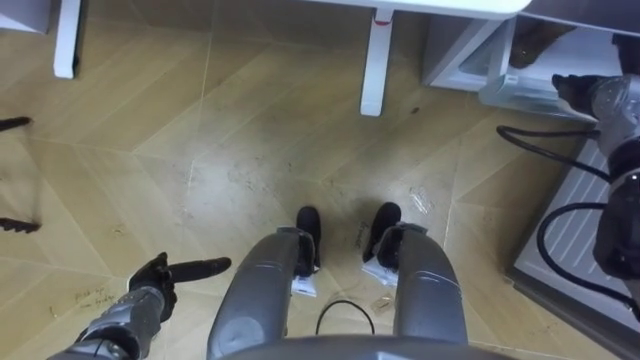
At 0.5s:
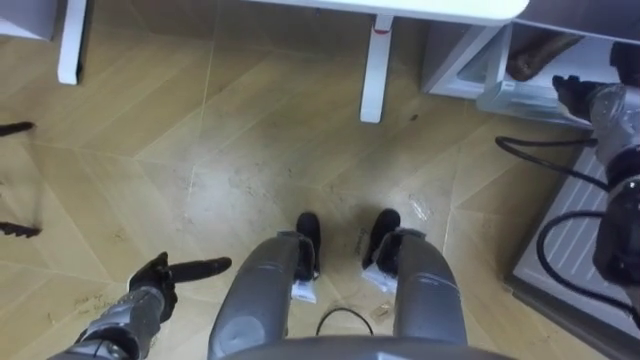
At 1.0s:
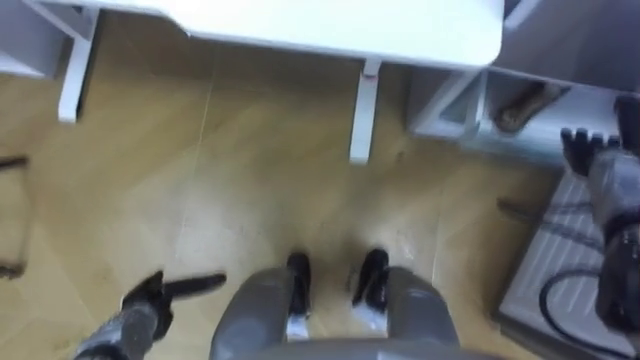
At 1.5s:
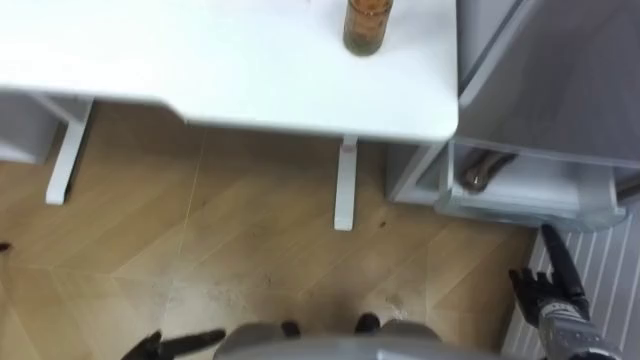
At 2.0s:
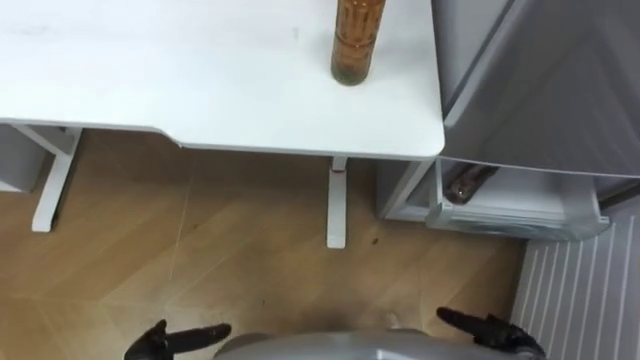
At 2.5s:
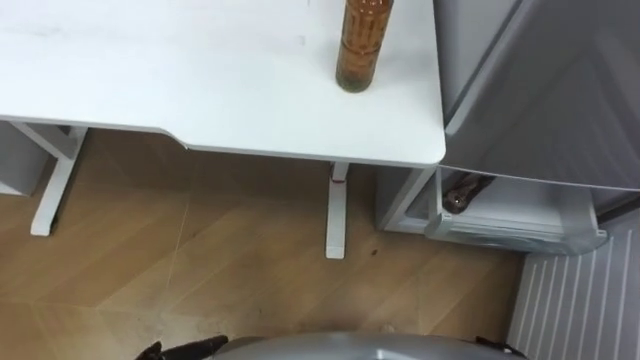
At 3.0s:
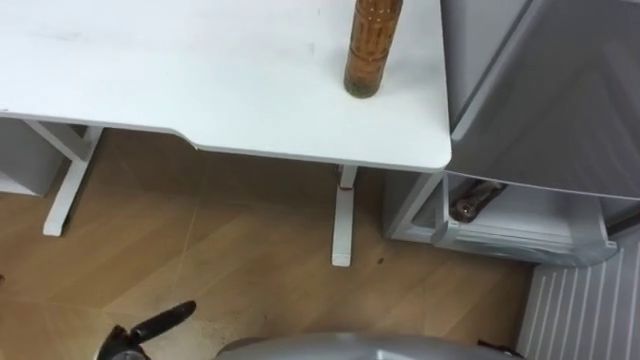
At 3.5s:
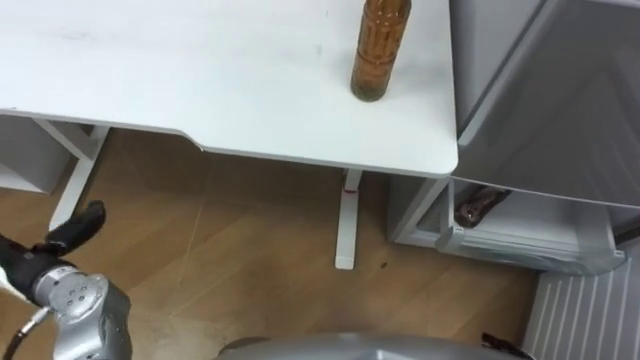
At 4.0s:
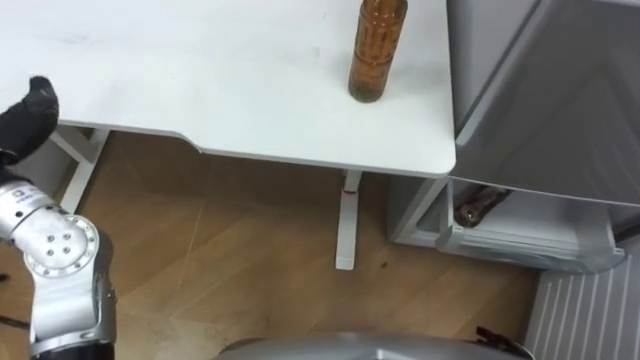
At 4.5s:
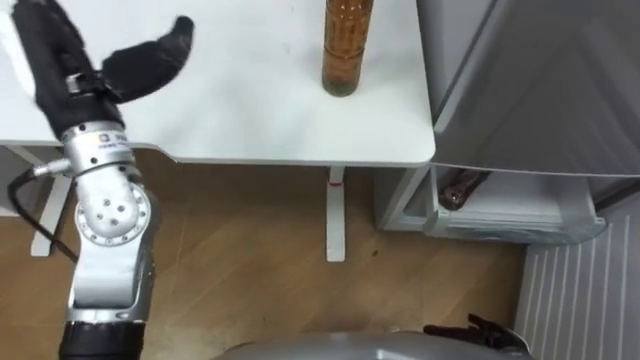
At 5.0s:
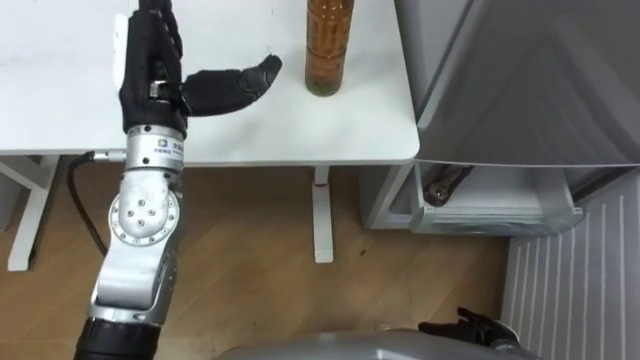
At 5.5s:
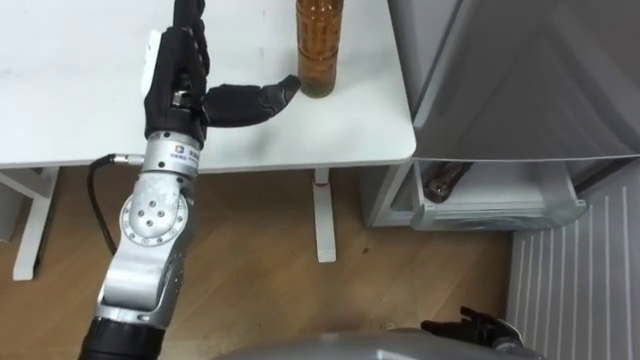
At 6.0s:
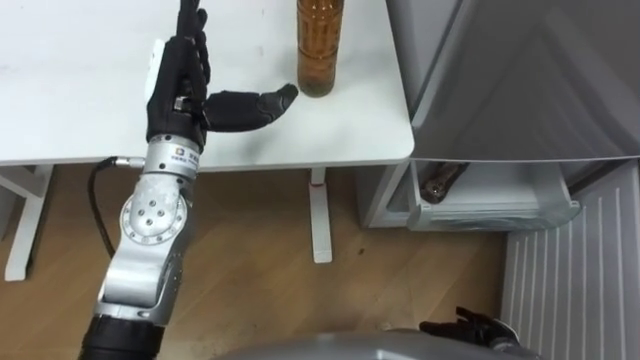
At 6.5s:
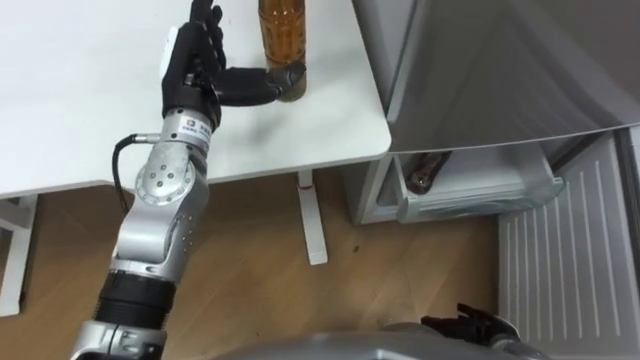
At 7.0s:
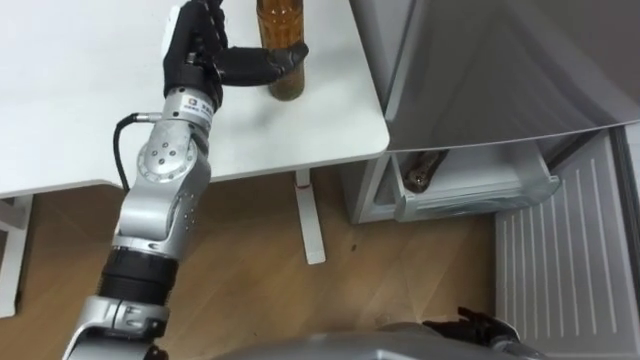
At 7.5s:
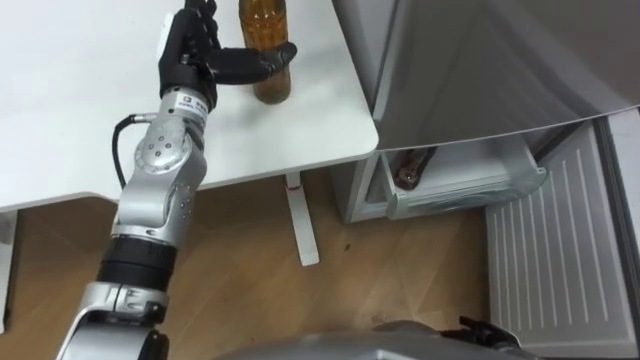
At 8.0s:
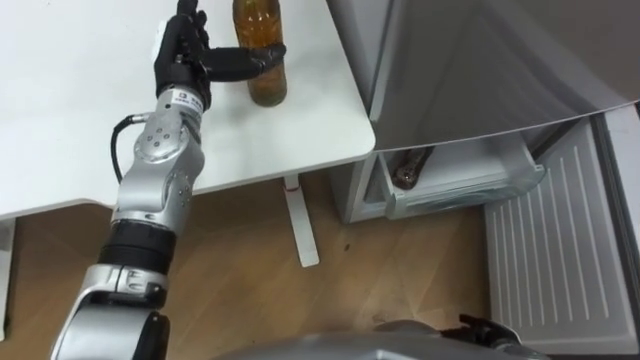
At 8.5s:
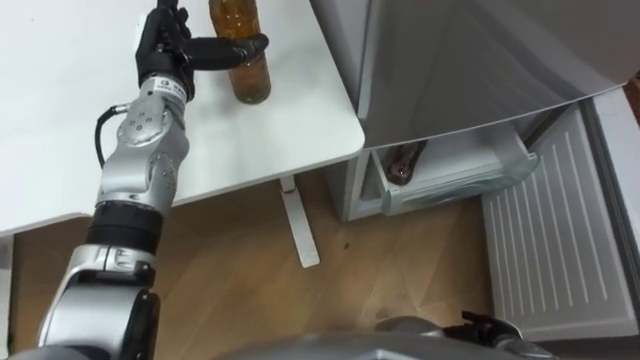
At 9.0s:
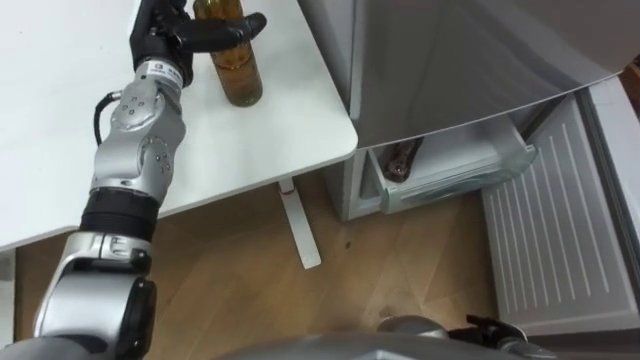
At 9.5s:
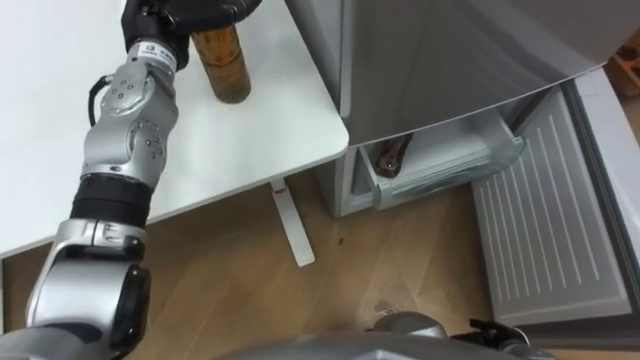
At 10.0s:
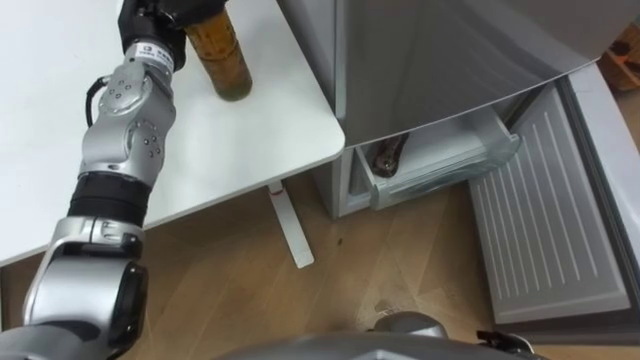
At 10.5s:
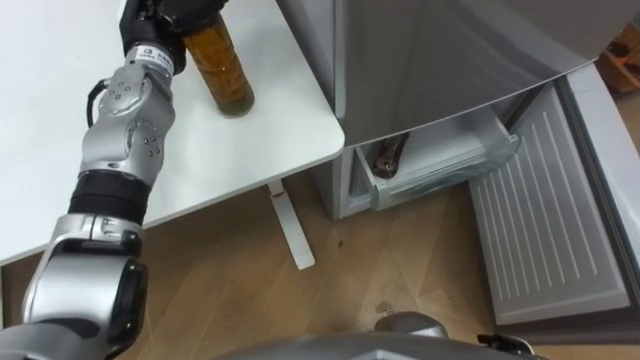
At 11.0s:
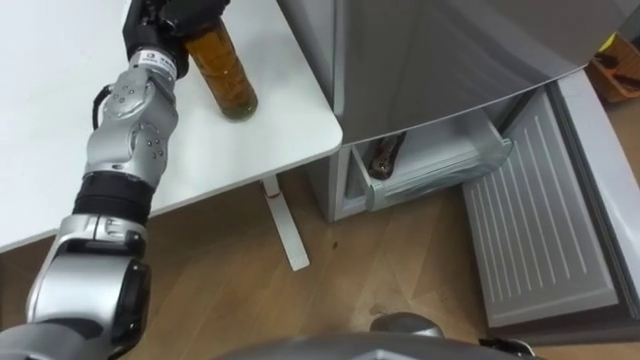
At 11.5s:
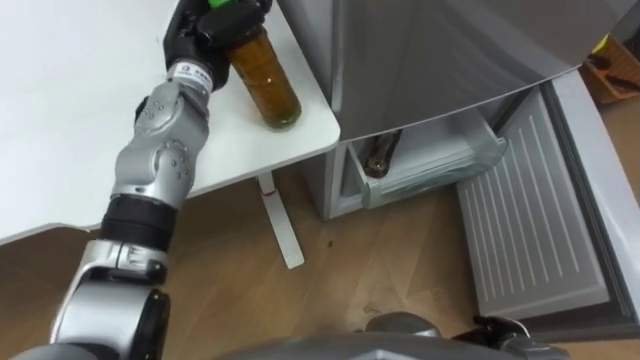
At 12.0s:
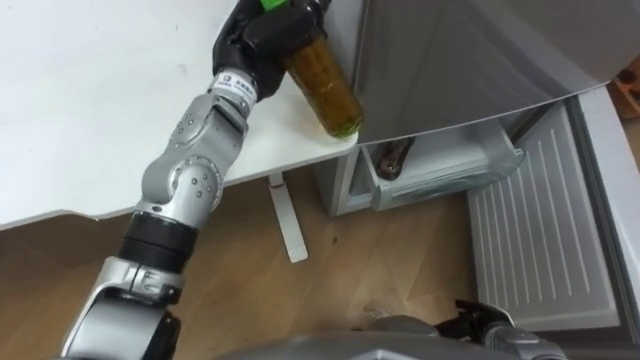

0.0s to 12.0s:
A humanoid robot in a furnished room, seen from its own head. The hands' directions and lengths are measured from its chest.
Task of the whole recording: Place the drink on the table on the bottom shelf of the refrigerator, then close the drawer and the refrigerator door.
0.0s to 2.0s: The right hand heads backward and downward, covering about 40 cm.
6.0s to 8.0s: The left hand shifts roughly 5 cm forward.
8.0s to 10.0s: The left hand moves about 5 cm, and closes up.
10.0s to 12.0s: The left hand heads to the right, covering roughly 10 cm.

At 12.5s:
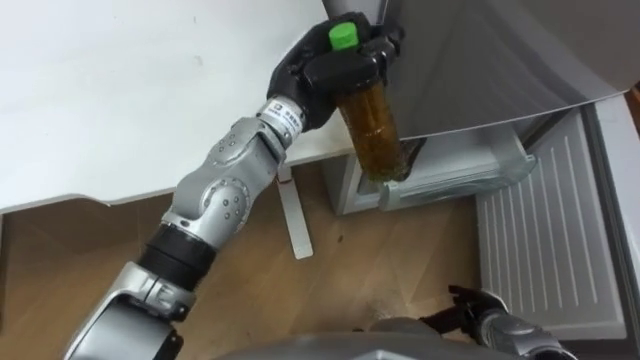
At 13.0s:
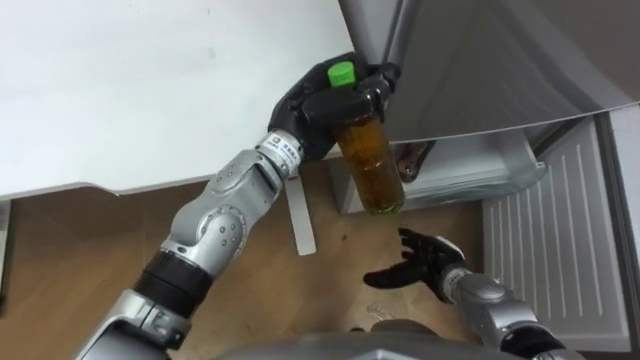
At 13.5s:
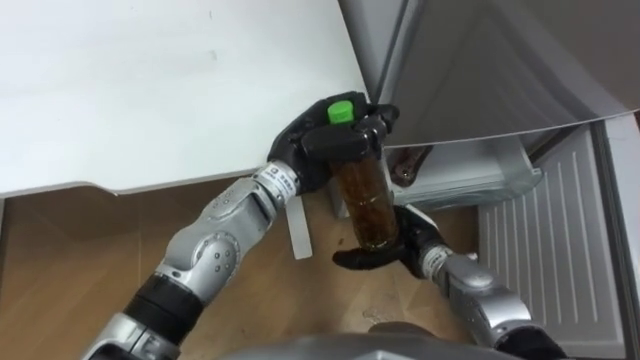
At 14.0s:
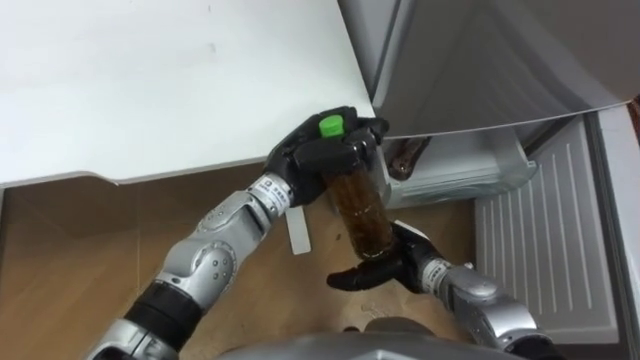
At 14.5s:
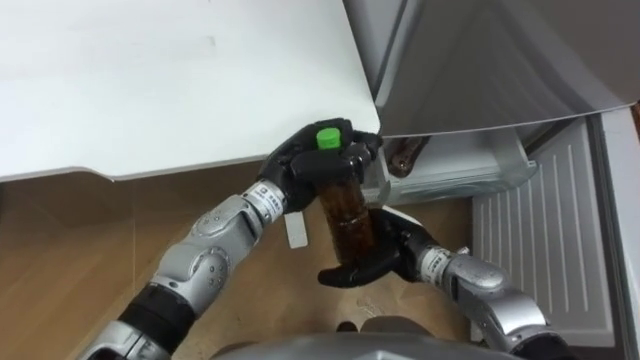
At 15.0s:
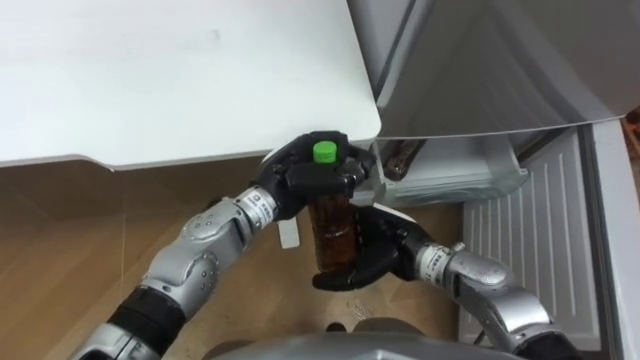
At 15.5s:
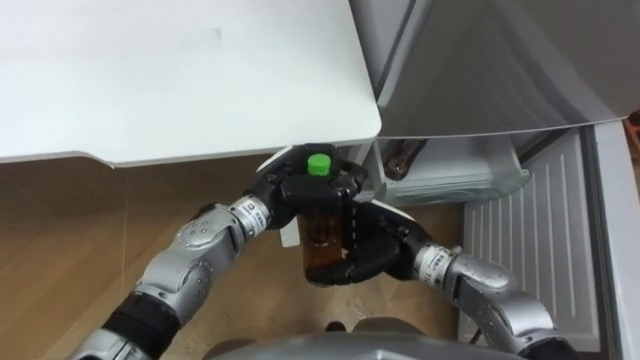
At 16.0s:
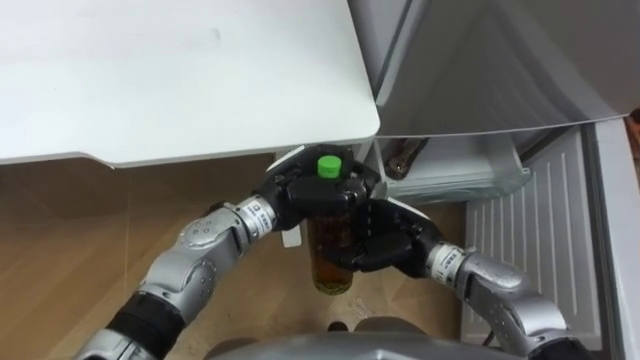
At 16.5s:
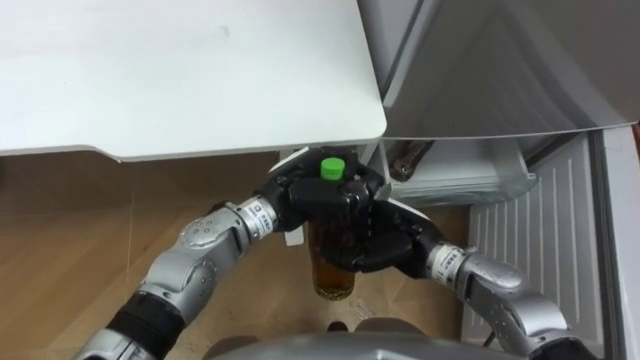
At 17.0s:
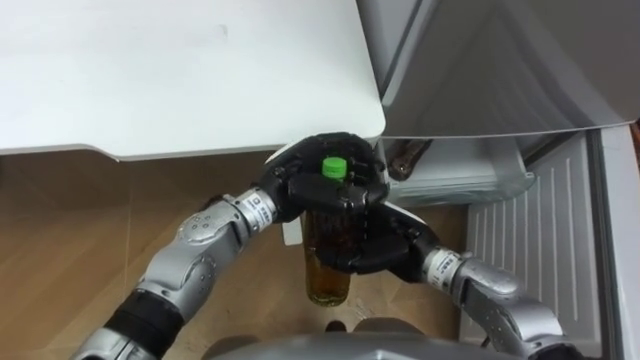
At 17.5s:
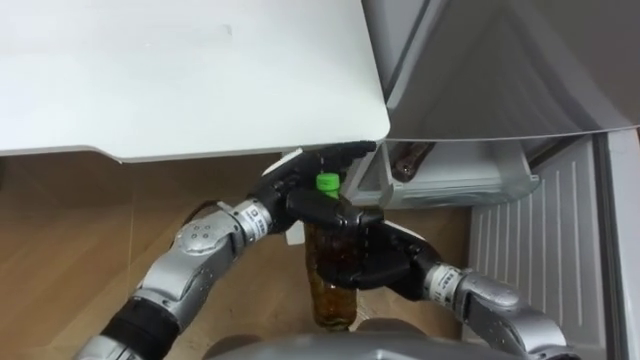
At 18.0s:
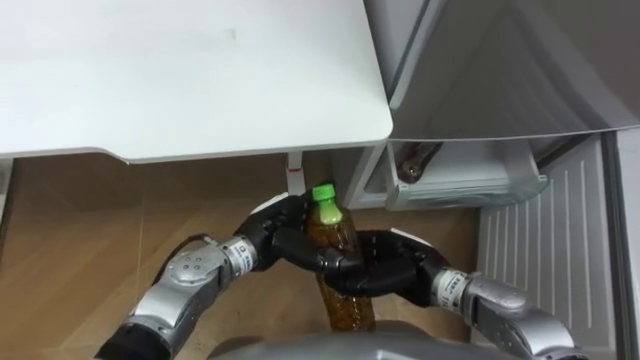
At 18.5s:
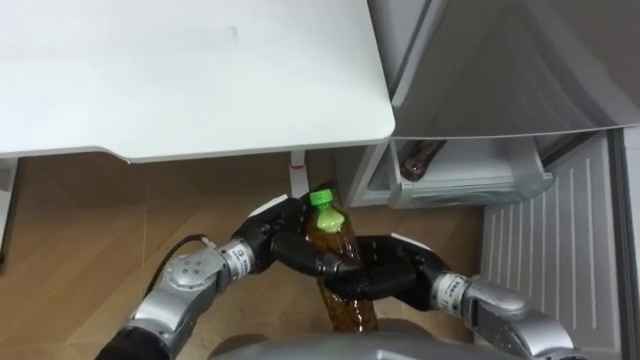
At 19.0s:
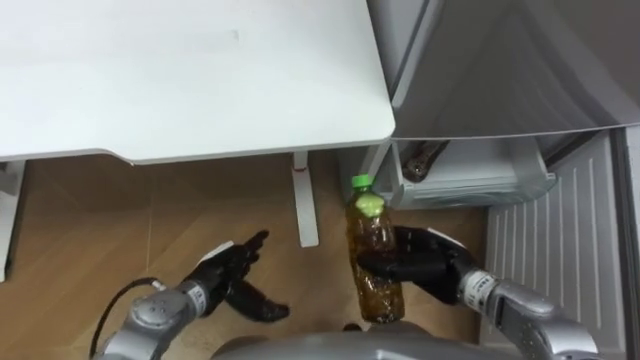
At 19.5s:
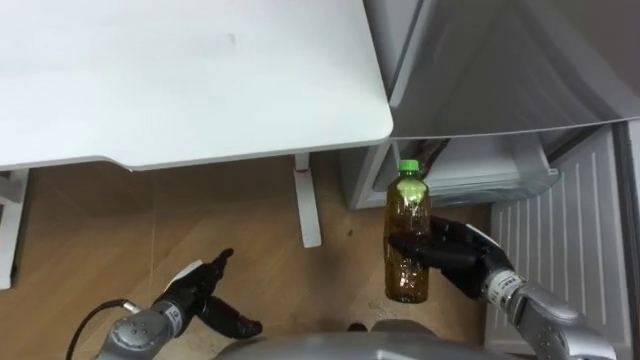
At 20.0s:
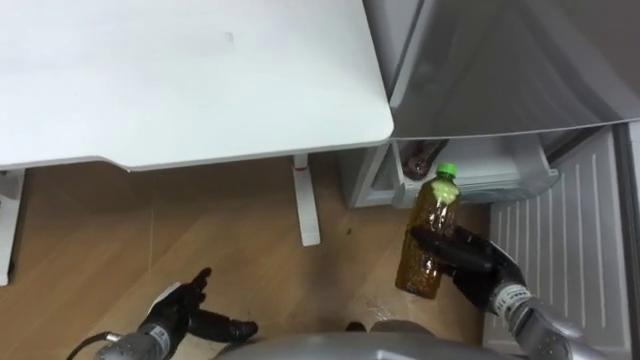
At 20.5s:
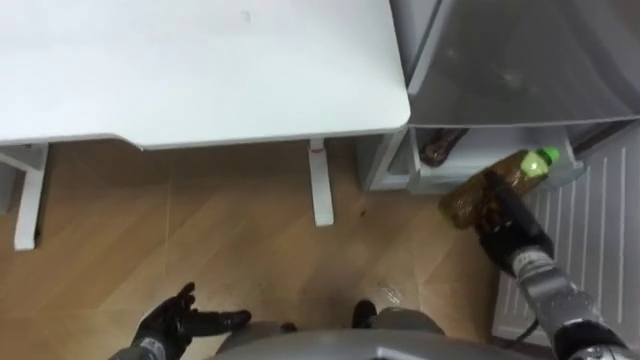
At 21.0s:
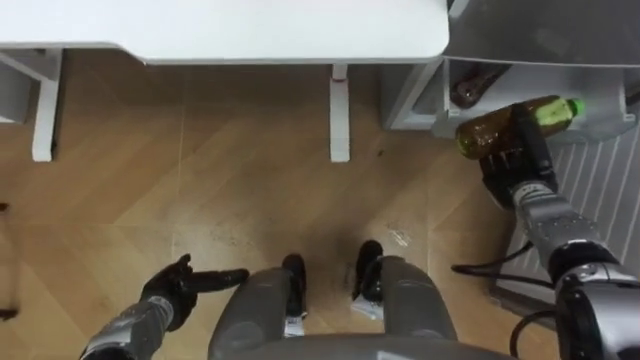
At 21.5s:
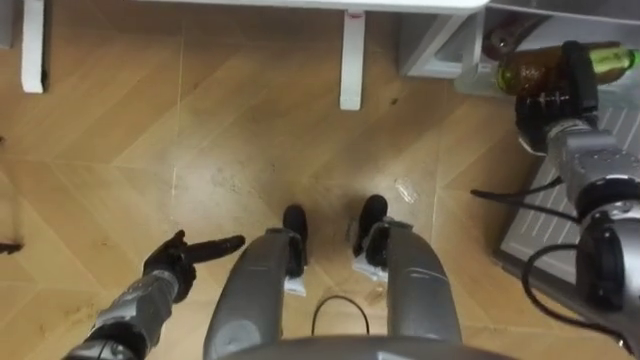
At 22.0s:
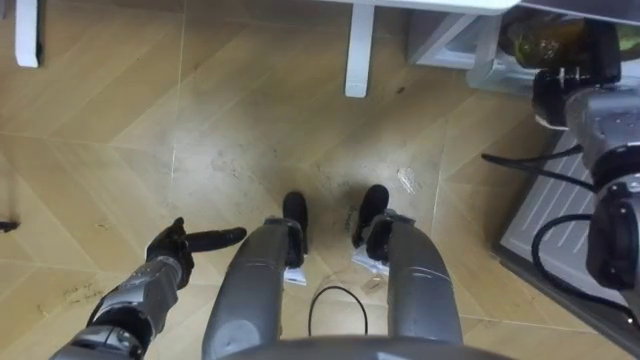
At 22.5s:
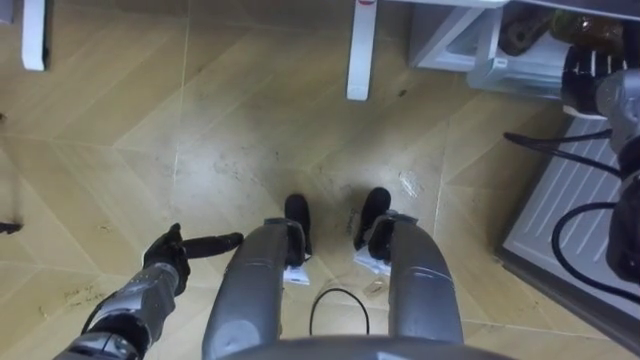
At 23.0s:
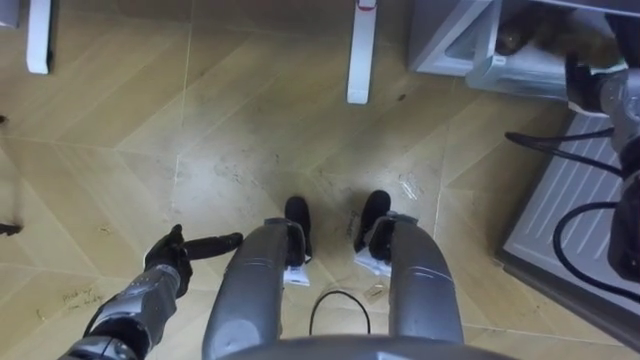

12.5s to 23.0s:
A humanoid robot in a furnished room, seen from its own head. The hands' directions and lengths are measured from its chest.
Task of the whole recording: Place the drink on the table on the bottom shelf of the refrigerator, then close the drawer and the refrigerator door.
12.5s to 14.5s: The right hand shifts approximately 20 cm to the left, upward and forward. Meanwhile the left hand goes about 10 cm downward and backward.
14.5s to 16.5s: The right hand closes its fingers.
16.5s to 19.0s: The right hand heads to the right, covering some 5 cm, while the left hand moves downward, to the left and backward, roughly 20 cm, and opens up.
19.0s to 21.0s: The left hand goes some 10 cm to the left, and travels backward and back again, roughly 10 cm each way. Meanwhile the right hand moves to the right and forward, approximately 20 cm.
21.0s to 23.0s: The right hand shifts about 15 cm upward, forward and to the right, and opens its fingers.
